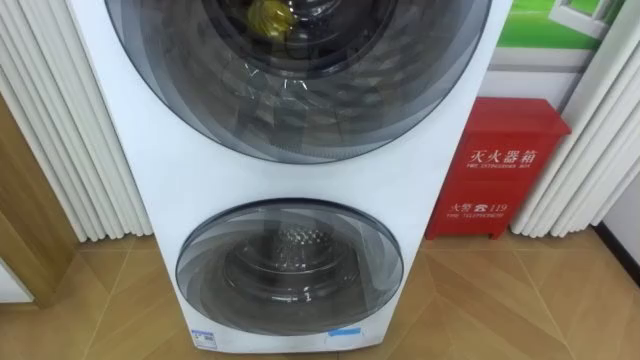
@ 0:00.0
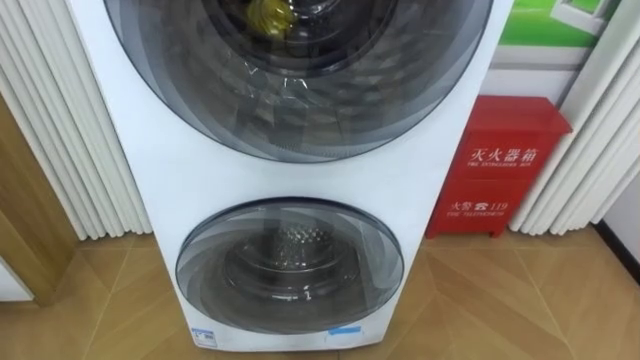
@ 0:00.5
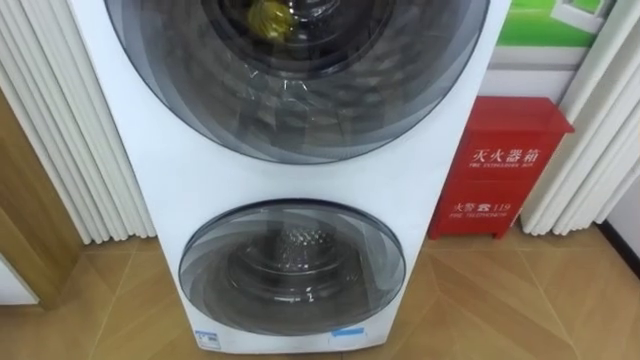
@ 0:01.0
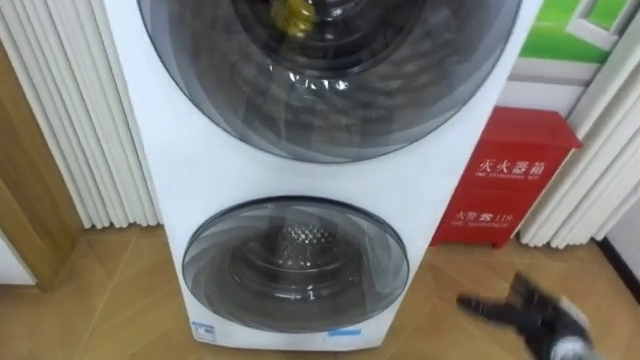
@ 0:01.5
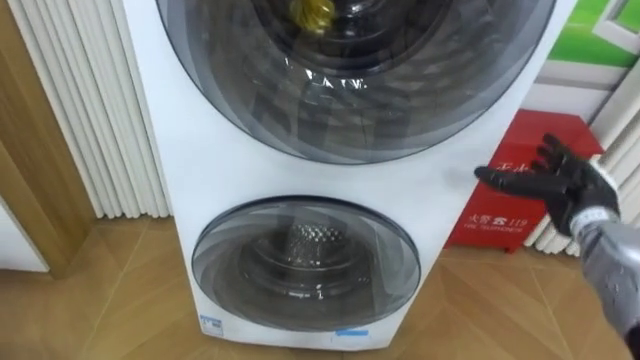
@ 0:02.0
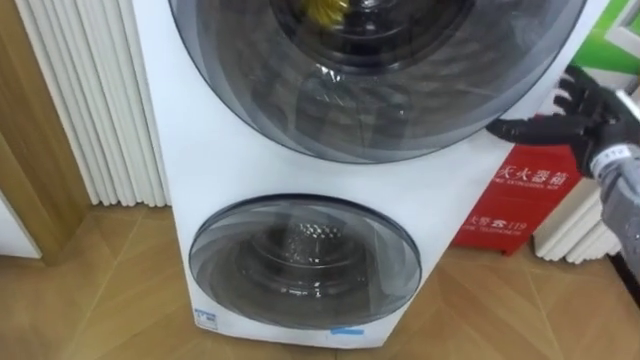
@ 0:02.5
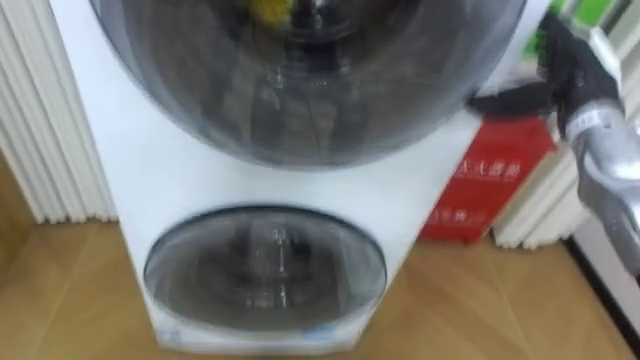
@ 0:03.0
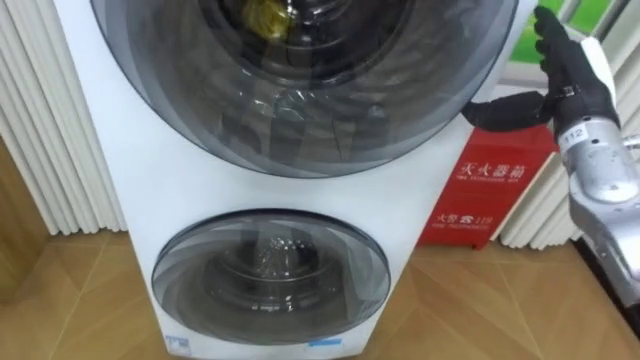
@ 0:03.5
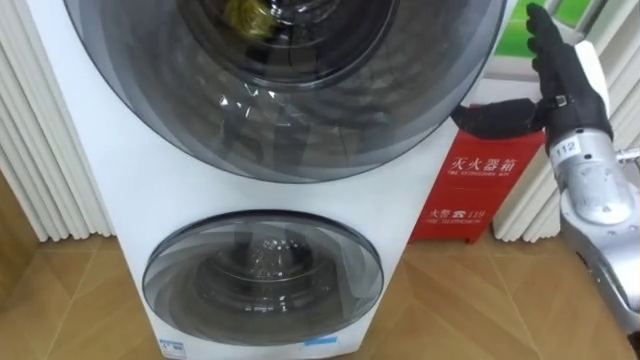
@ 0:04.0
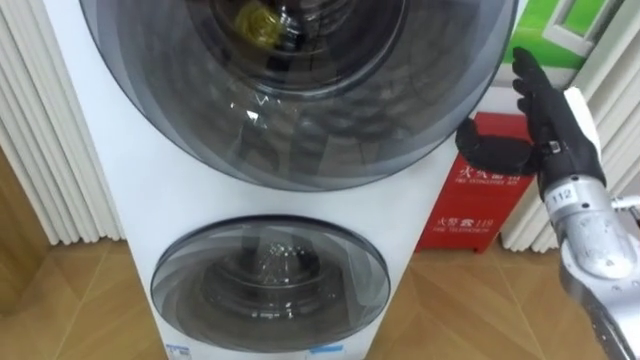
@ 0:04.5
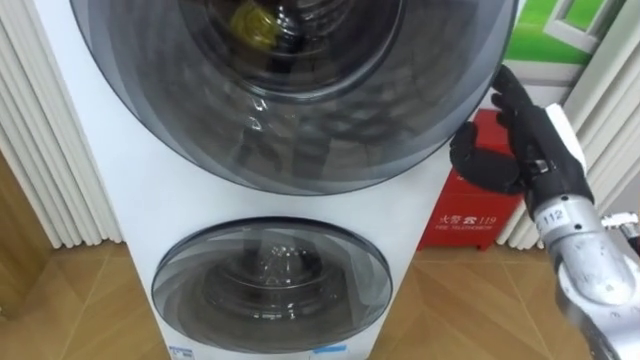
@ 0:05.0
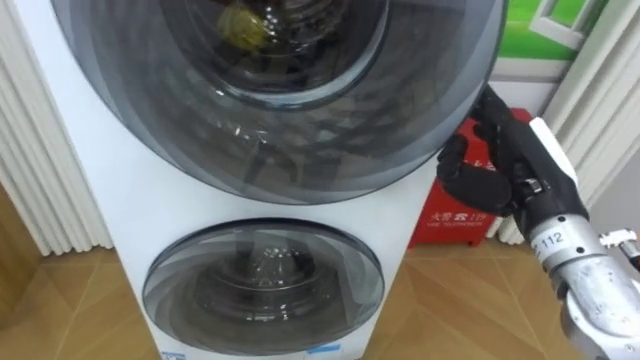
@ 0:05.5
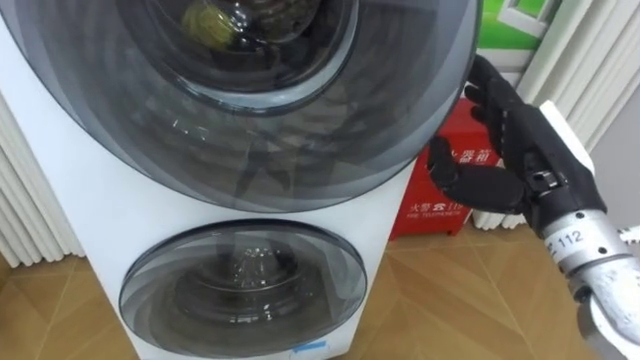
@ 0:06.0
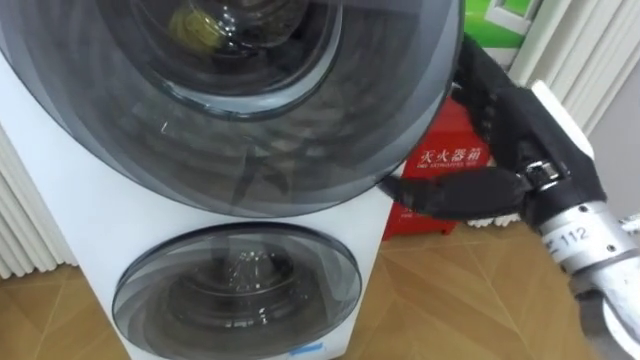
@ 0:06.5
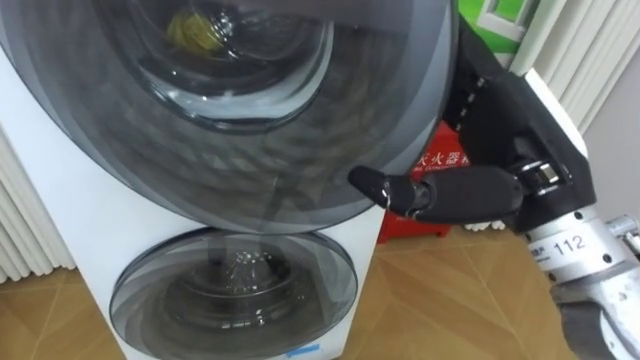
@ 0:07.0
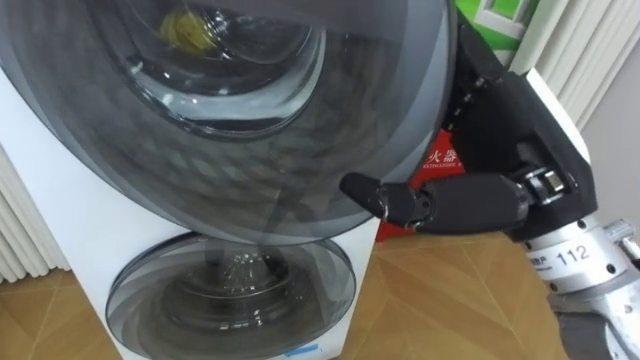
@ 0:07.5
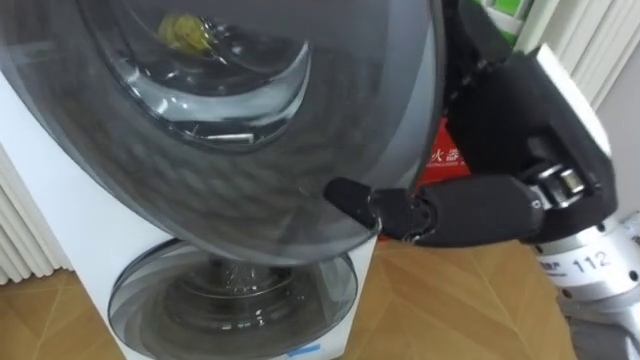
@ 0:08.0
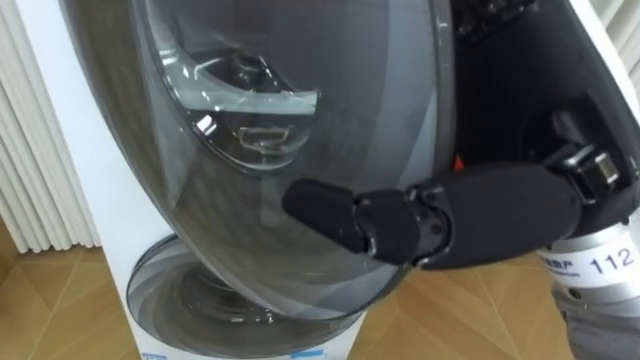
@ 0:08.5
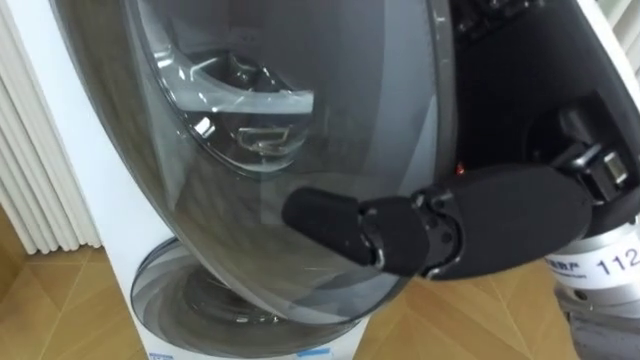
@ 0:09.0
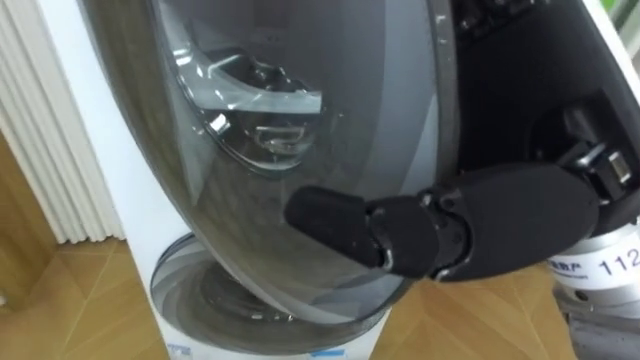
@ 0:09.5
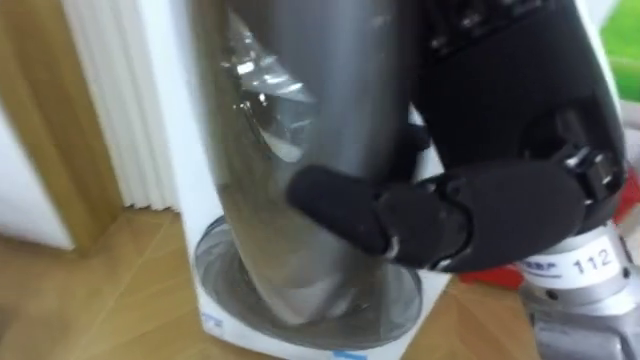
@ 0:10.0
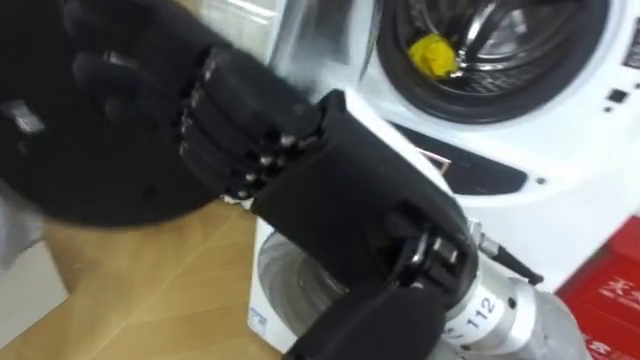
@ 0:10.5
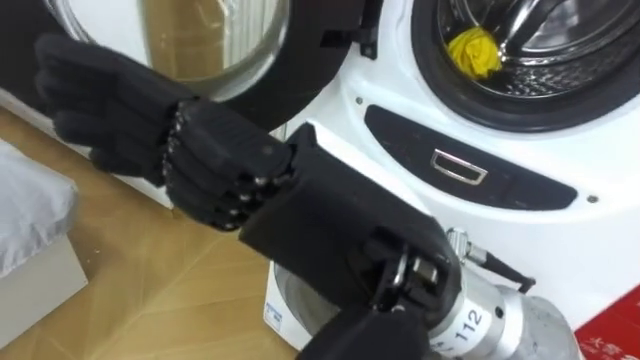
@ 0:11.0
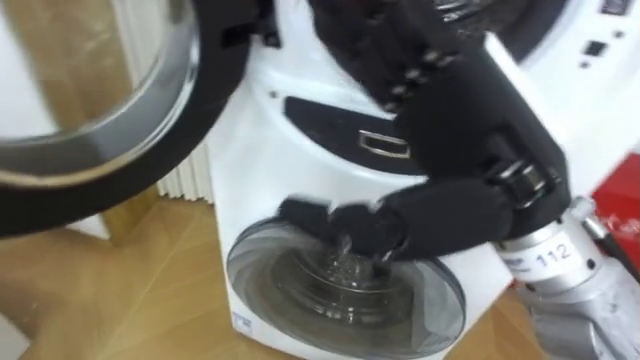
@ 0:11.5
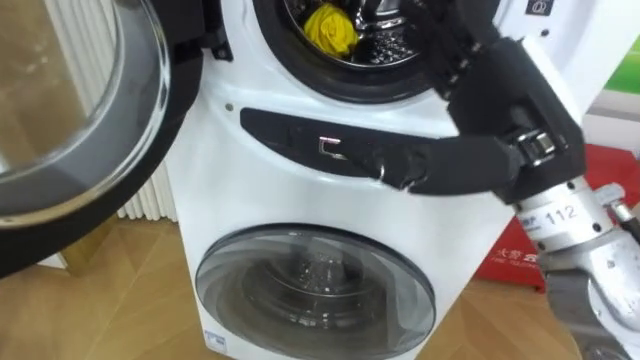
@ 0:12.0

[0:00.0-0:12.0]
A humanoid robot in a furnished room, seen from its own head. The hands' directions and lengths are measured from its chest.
Task of the whole recording: Open the washing machine door, take out the yellow clothes, place them in the box on the right, and close the washing machine door.
0:02.0 to 0:04.0: The right hand shifts about 15 cm upward and to the left.
0:04.0 to 0:06.0: The right hand goes approximately 10 cm backward.
0:06.0 to 0:08.0: The right hand heads upward, backward and to the left, covering some 10 cm.
0:08.0 to 0:10.0: The right hand changes place by approximately 5 cm.
0:10.0 to 0:12.0: The right hand travels forward by some 5 cm, and goes to the left and returns, about 10 cm each way.

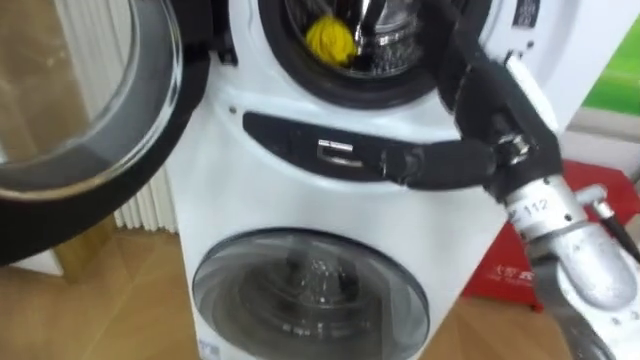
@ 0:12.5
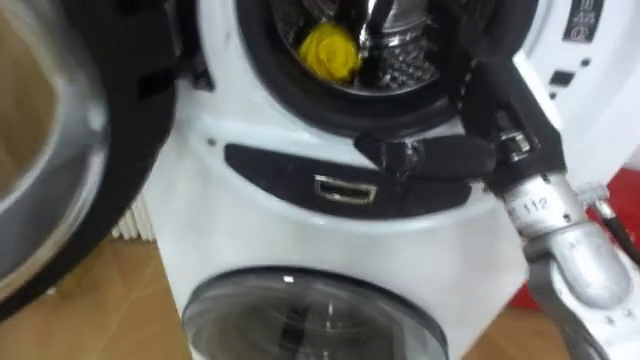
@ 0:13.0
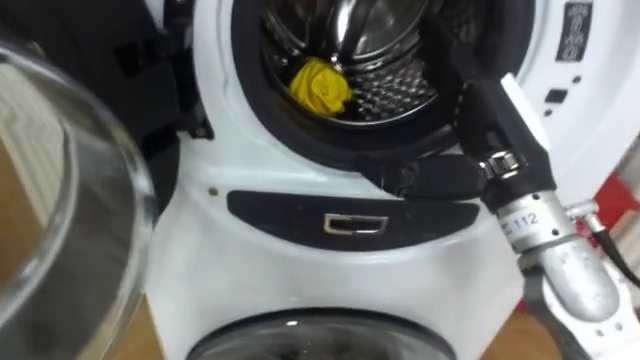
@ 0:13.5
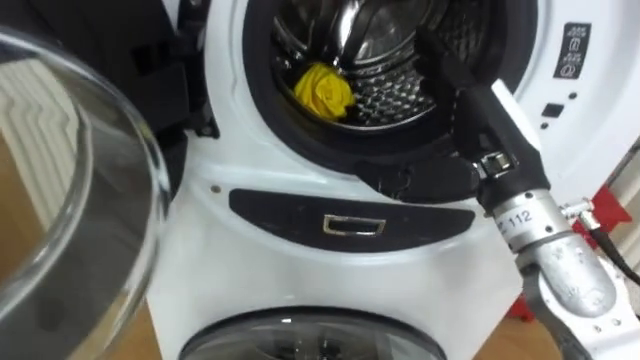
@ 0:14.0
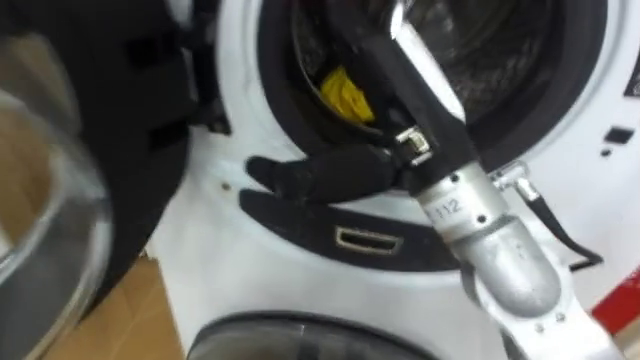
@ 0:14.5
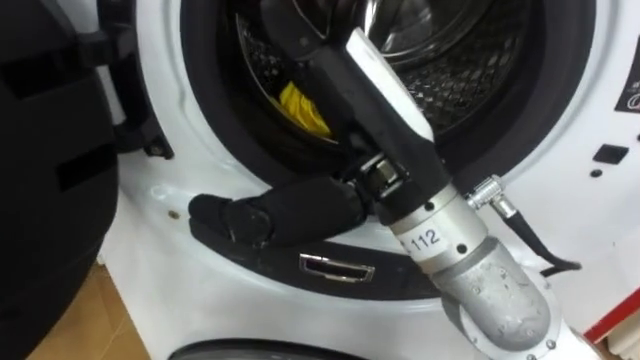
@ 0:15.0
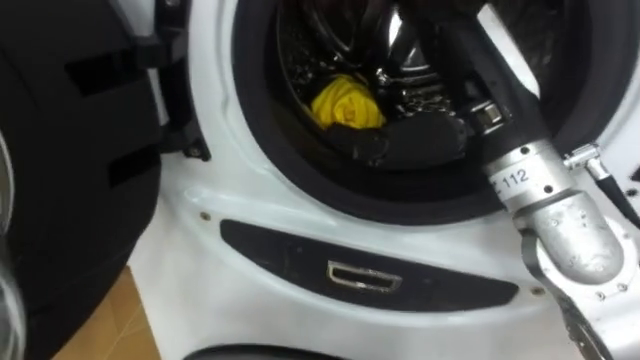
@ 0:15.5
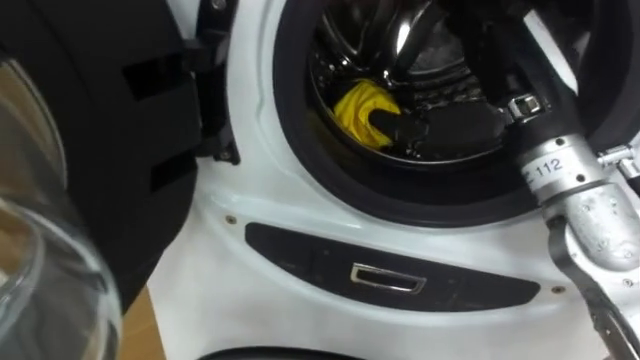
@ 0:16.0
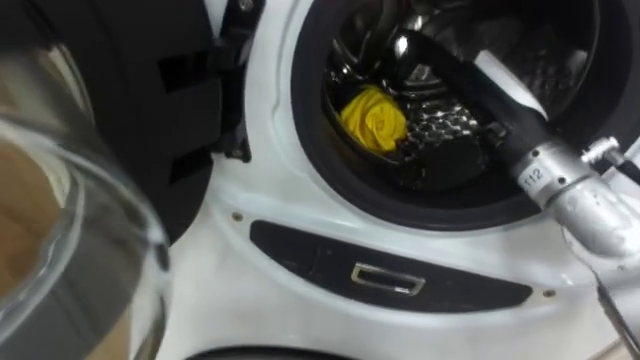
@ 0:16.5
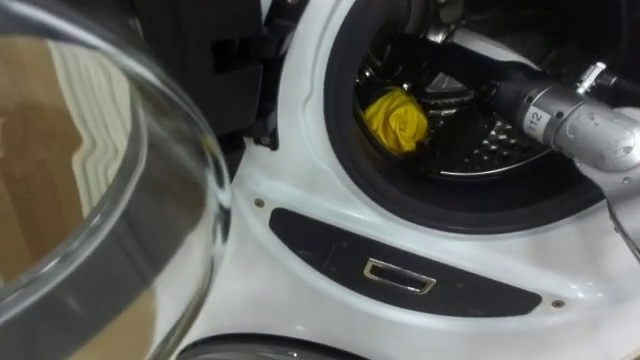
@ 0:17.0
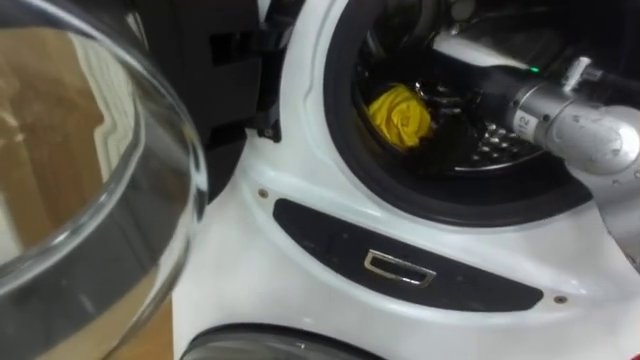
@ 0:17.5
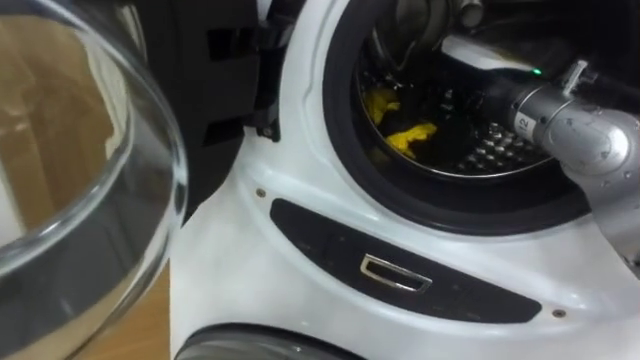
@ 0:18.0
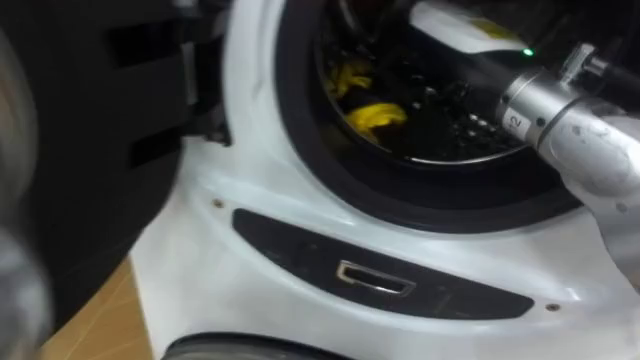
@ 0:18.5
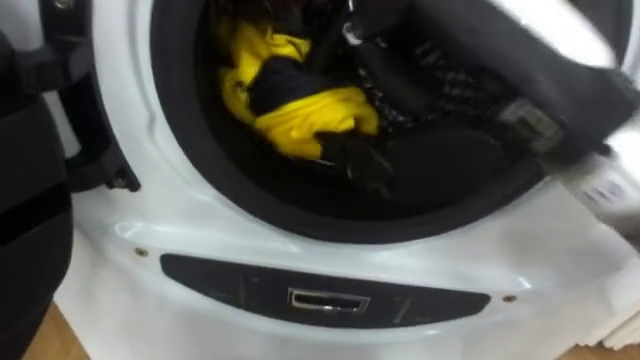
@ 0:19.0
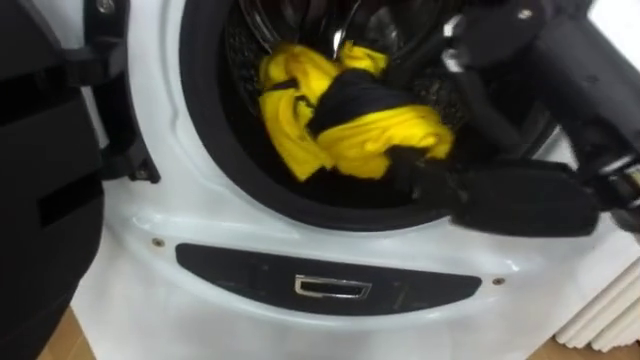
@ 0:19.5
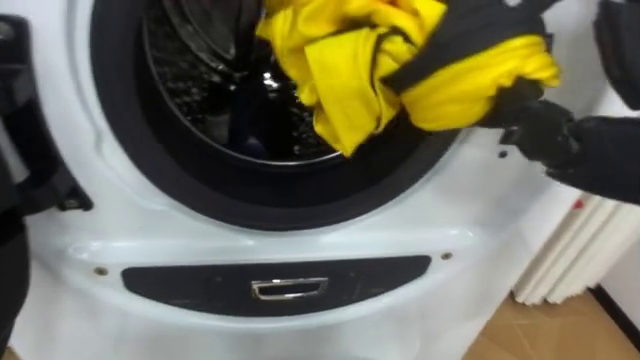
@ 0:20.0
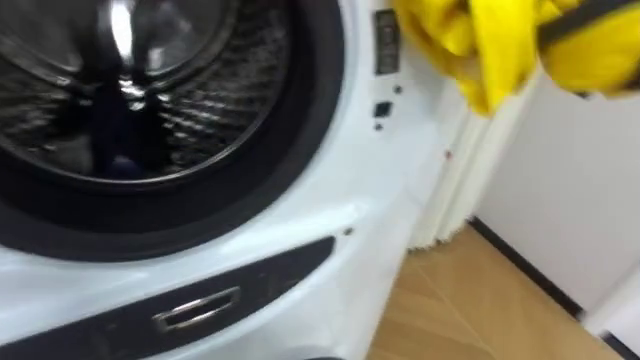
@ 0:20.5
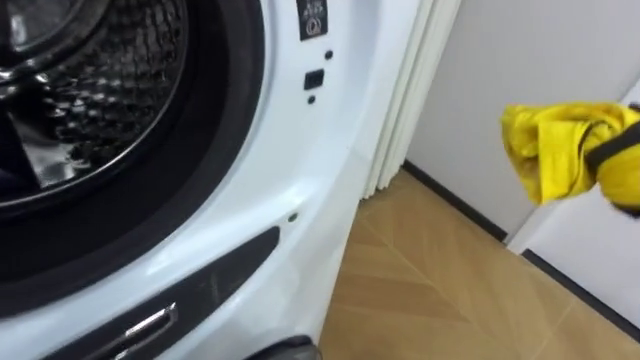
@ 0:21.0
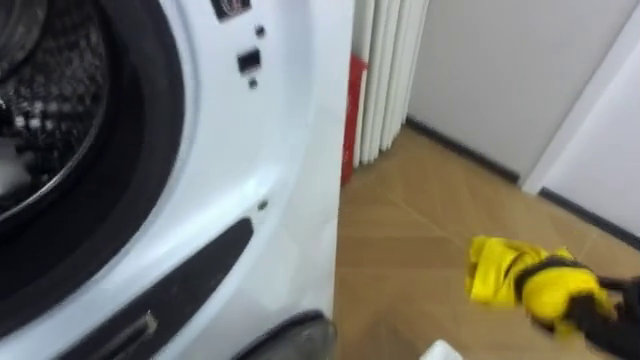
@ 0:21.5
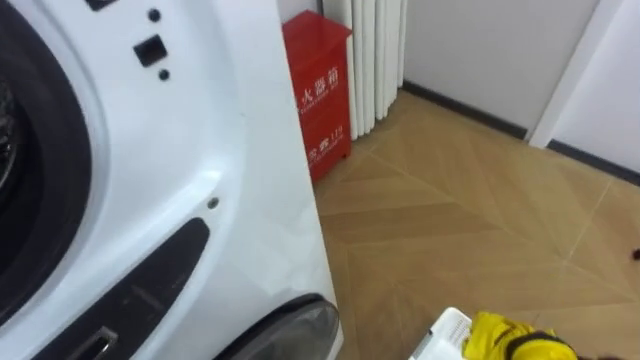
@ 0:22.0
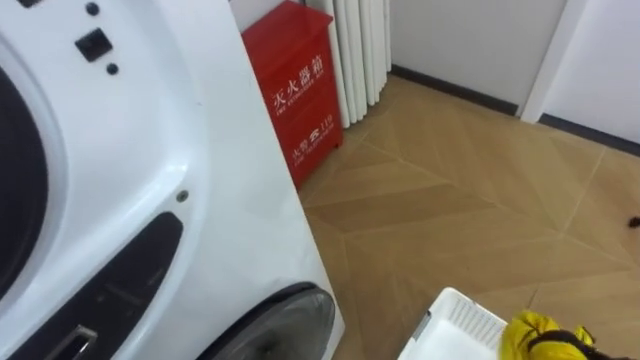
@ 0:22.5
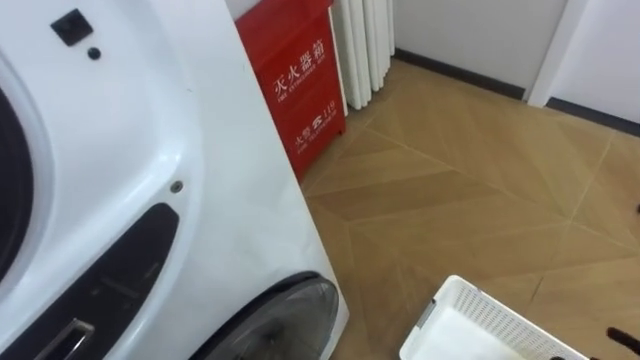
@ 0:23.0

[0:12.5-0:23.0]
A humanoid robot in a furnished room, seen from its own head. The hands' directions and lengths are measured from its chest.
Task of the whole recording: Open the washing machine door, take out the yellow clothes, place them in the box on the right, and close the washing machine door.
0:12.5 to 0:14.5: The right hand goes some 10 cm to the left.
0:14.5 to 0:16.5: The right hand goes approximately 15 cm to the right and forward.
0:16.5 to 0:19.0: The right hand travels backward, upward and to the left by roughly 20 cm, and closes its fingers.
